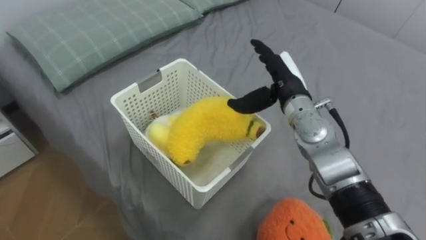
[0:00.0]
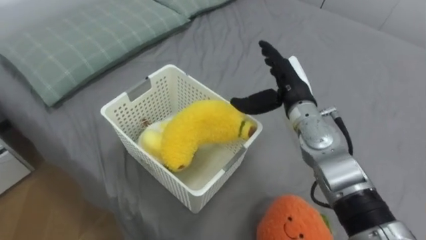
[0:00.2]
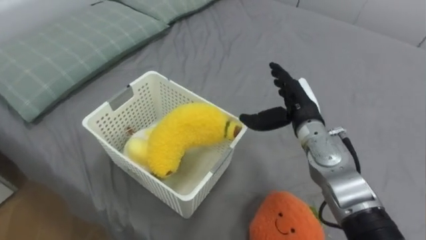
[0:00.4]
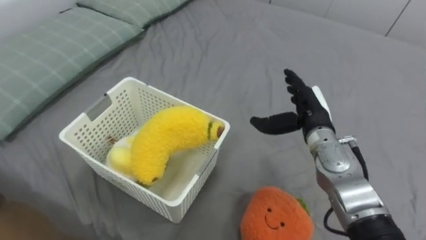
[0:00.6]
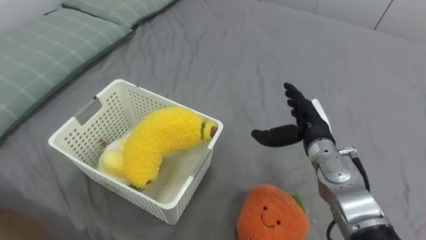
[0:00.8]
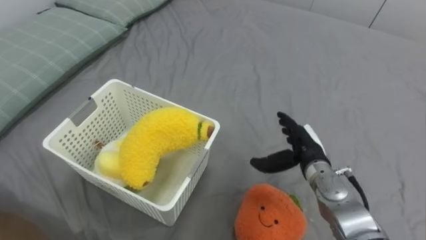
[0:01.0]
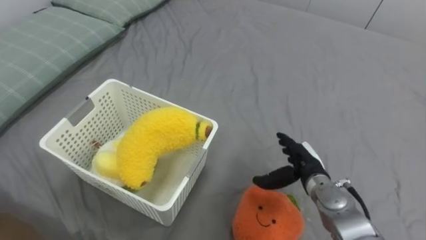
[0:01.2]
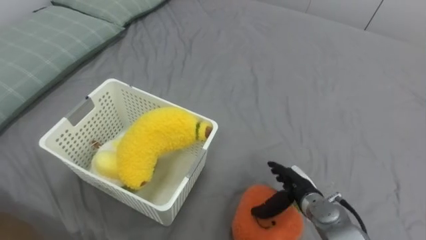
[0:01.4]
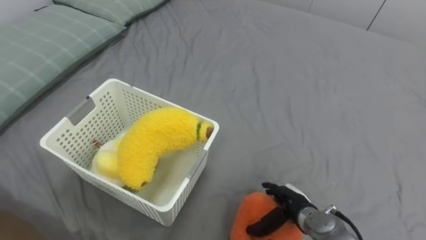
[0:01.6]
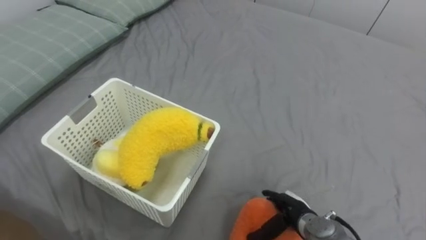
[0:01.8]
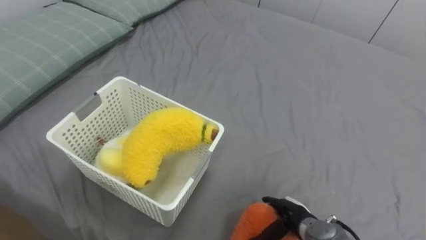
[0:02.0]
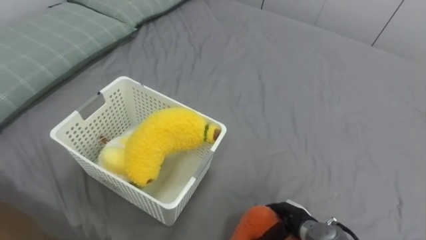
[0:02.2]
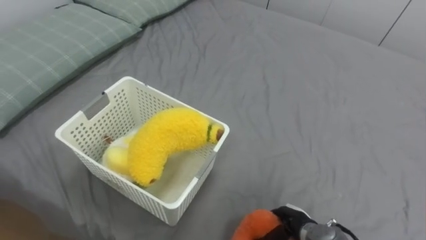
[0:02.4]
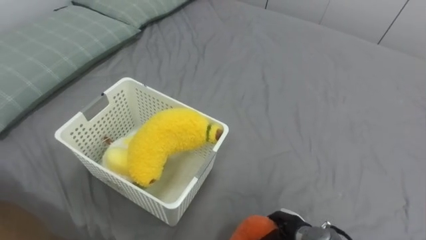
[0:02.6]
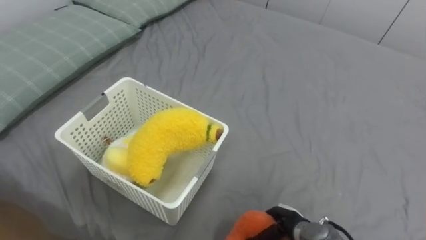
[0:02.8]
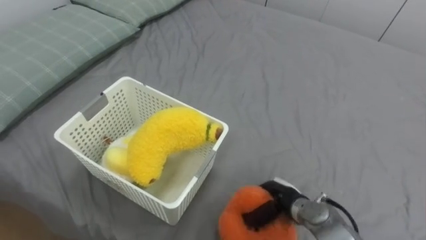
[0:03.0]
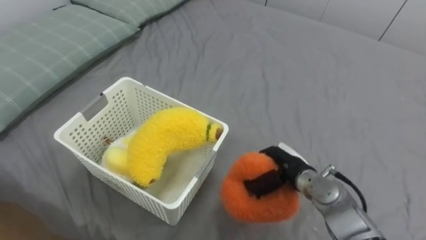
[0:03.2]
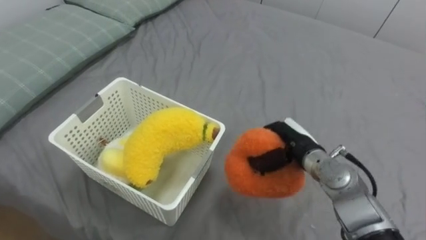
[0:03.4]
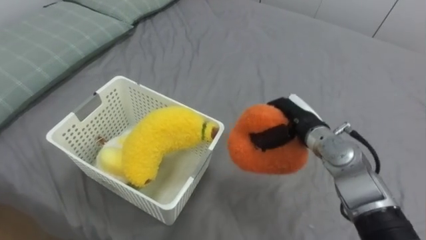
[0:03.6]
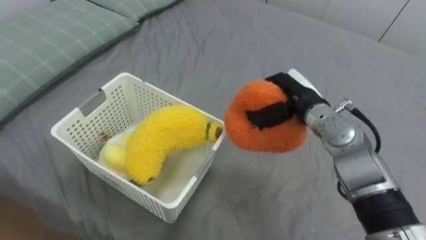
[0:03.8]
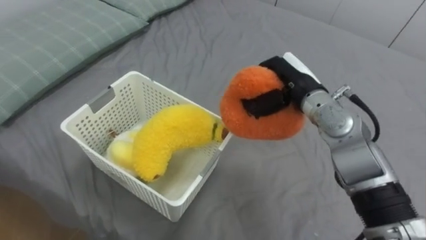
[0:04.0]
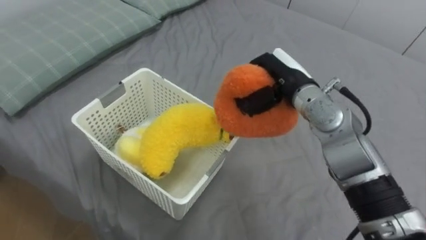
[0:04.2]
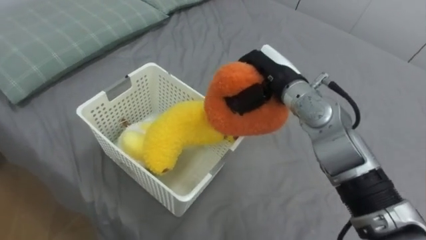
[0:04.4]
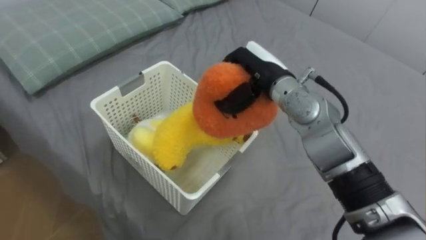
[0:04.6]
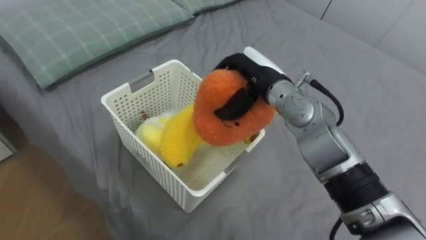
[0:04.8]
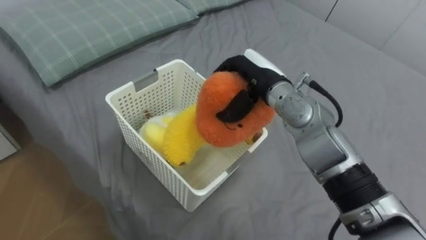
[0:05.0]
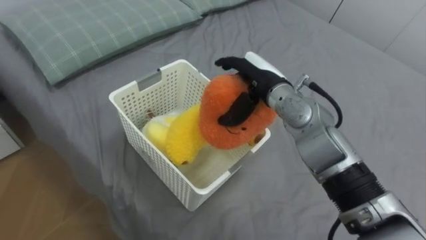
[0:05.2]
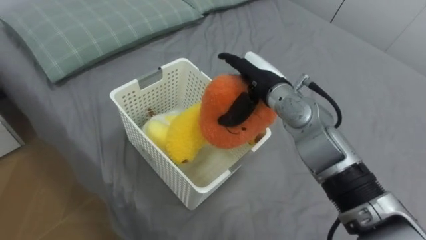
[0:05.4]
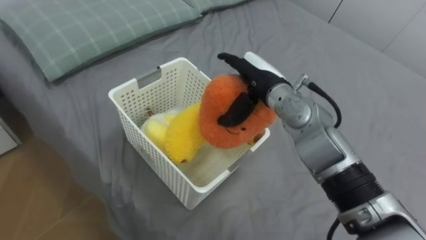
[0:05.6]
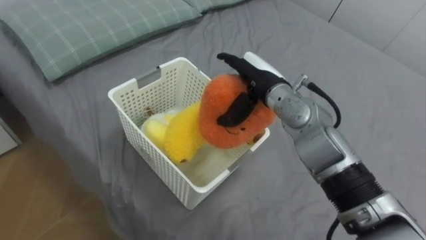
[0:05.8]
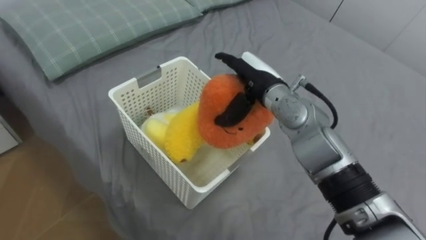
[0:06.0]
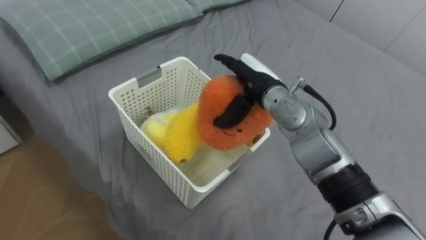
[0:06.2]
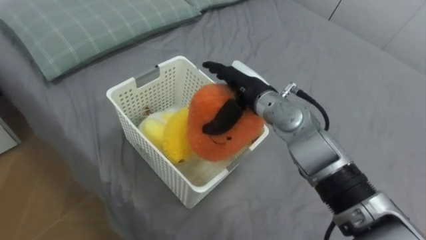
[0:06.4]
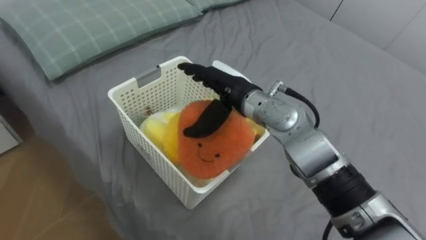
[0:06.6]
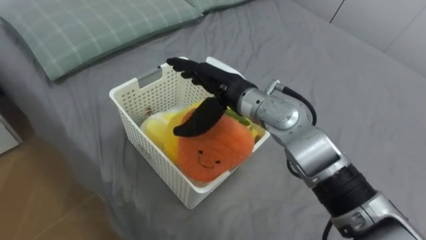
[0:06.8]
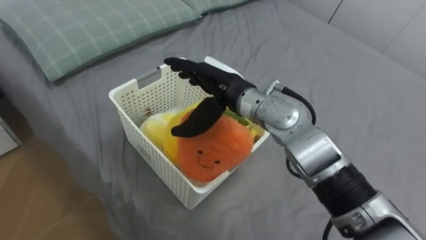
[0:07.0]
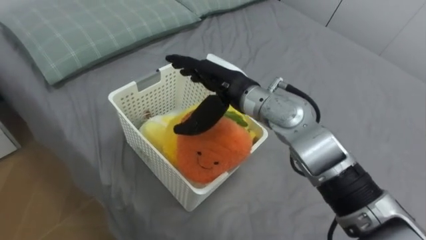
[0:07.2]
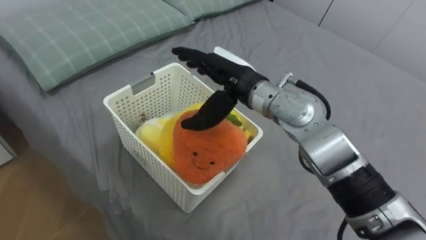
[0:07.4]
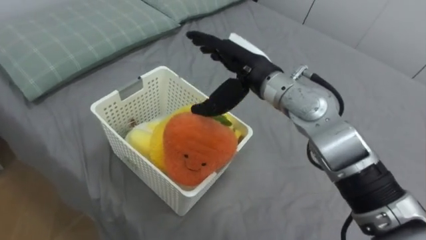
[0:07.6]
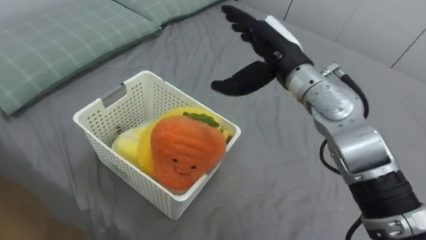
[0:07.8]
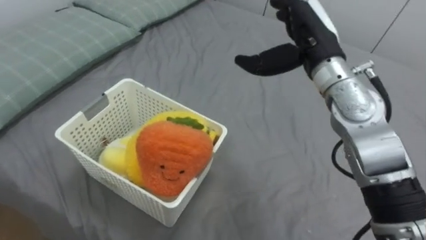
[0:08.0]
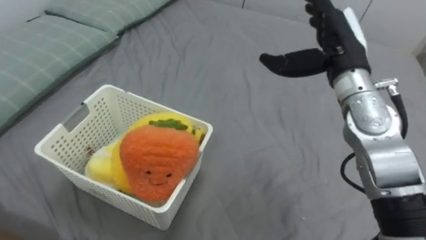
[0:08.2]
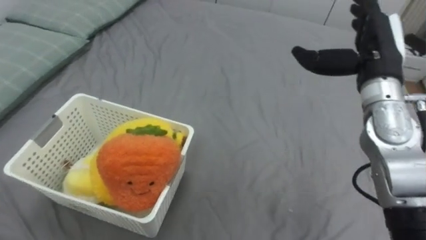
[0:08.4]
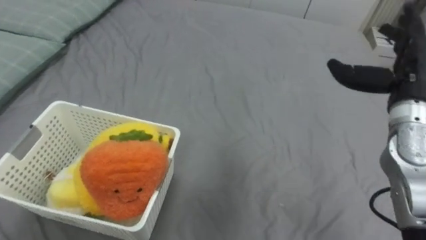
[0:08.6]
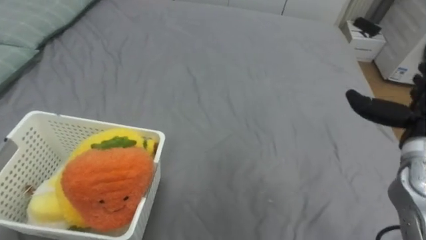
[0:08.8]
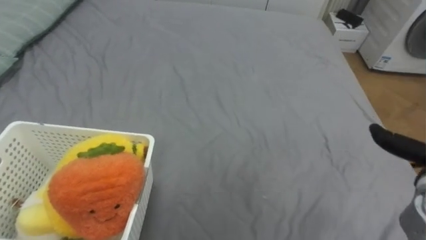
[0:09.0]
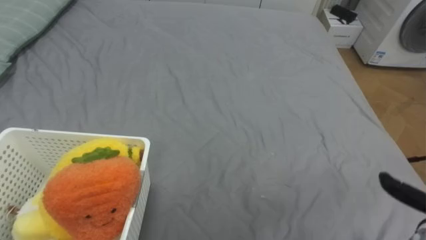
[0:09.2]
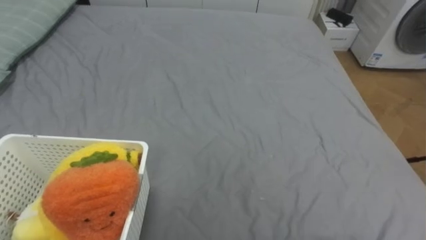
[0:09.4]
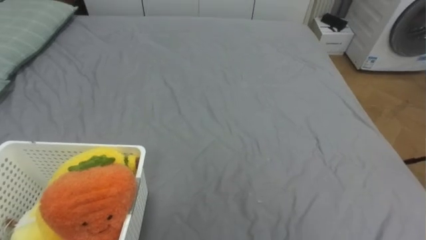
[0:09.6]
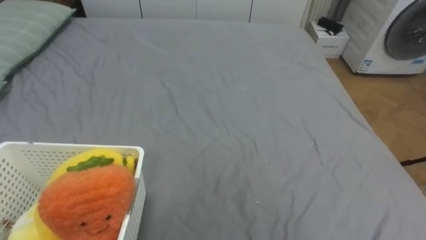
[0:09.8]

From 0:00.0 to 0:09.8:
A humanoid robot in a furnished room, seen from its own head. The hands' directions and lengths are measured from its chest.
Task of the whole recording: Put the toys on the bed into the basket on the left.
From 0:00.0 to 0:01.4: The right hand goes about 25 cm downward and backward.
From 0:01.4 to 0:02.8: The right hand shifts approximately 10 cm backward and downward, and closes its fingers.
From 0:02.8 to 0:04.2: The right hand travels upward and forward by some 35 cm.
From 0:04.2 to 0:05.6: The right hand opens up.
From 0:05.6 to 0:07.0: The right hand goes about 5 cm to the left.
From 0:07.0 to 0:08.4: The right hand is displaced to the right by roughly 25 cm.

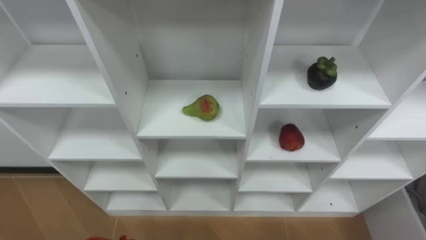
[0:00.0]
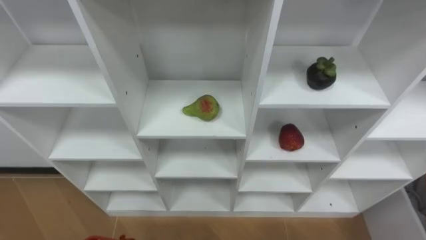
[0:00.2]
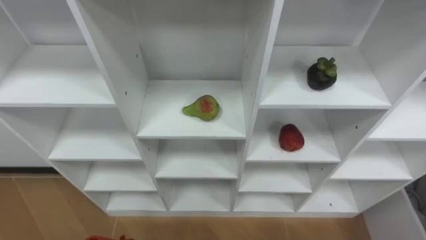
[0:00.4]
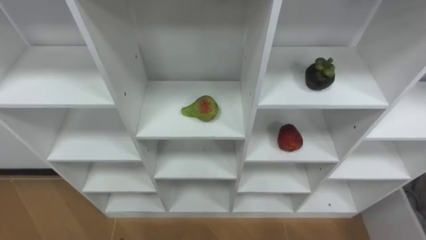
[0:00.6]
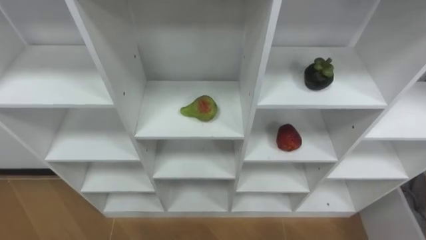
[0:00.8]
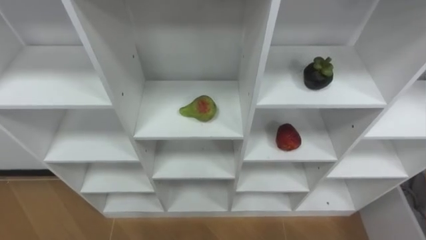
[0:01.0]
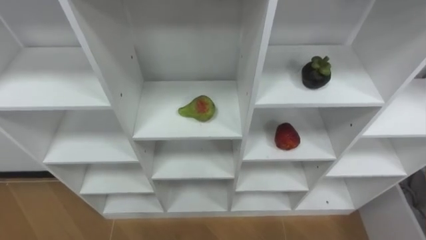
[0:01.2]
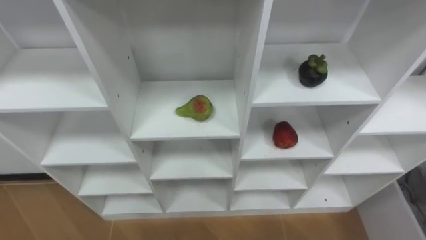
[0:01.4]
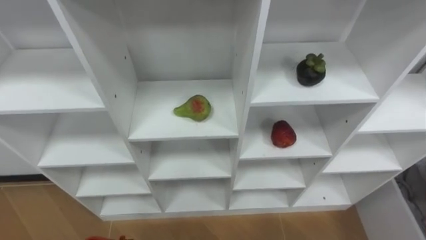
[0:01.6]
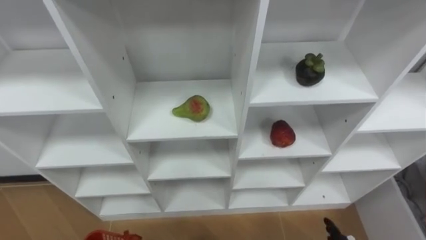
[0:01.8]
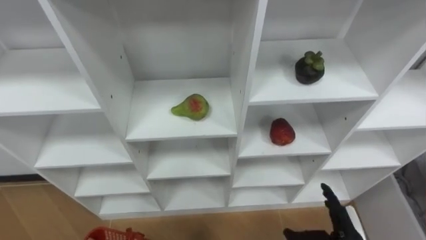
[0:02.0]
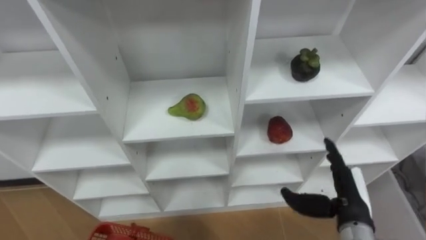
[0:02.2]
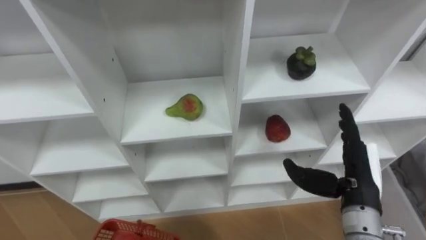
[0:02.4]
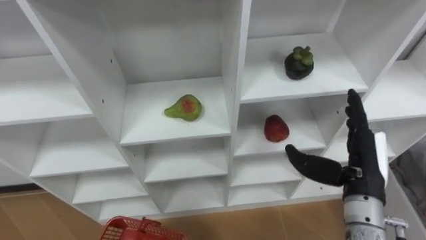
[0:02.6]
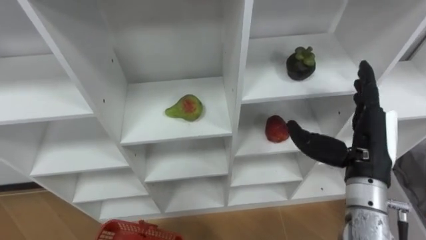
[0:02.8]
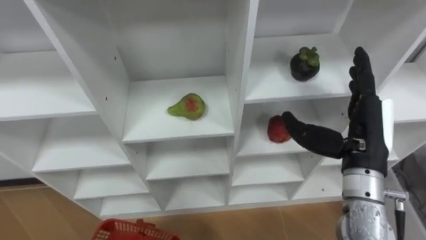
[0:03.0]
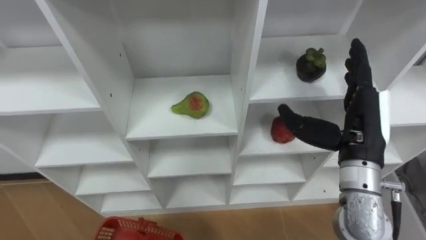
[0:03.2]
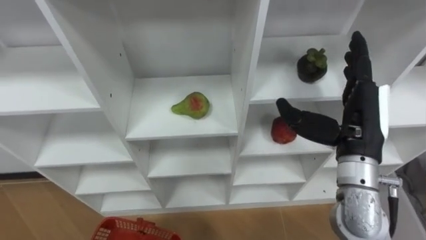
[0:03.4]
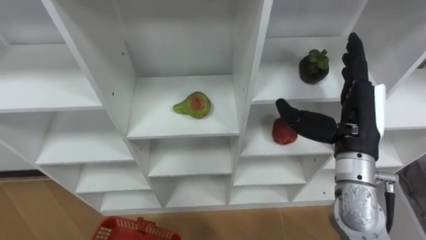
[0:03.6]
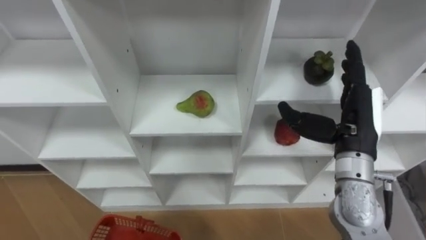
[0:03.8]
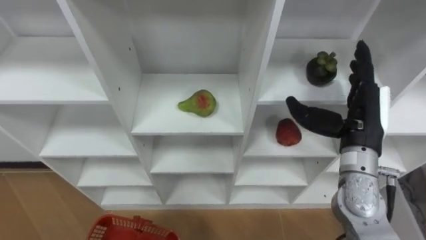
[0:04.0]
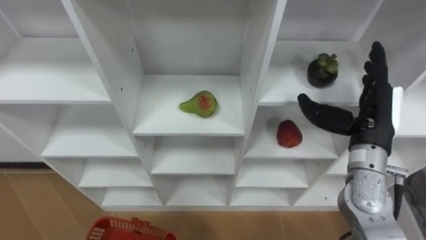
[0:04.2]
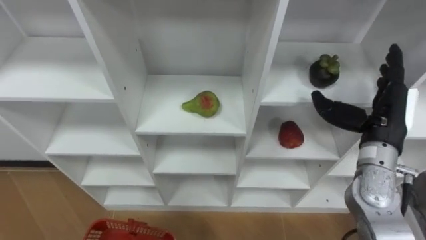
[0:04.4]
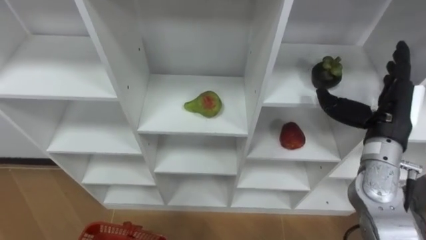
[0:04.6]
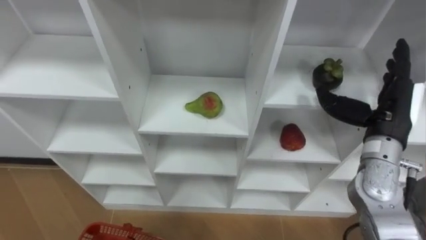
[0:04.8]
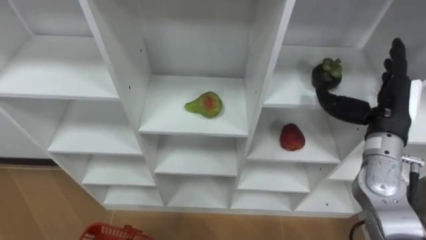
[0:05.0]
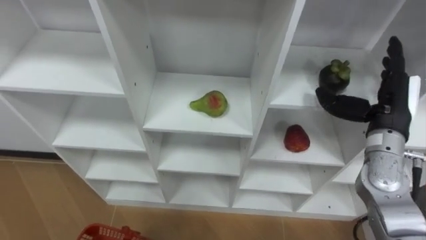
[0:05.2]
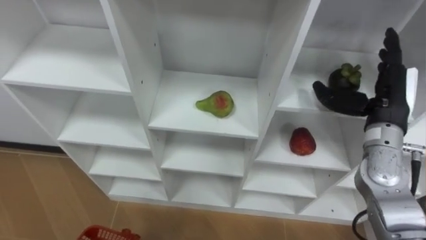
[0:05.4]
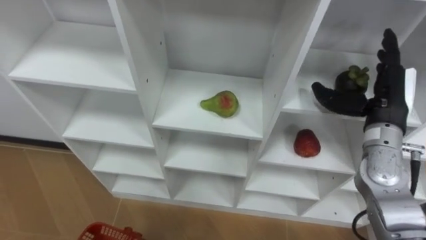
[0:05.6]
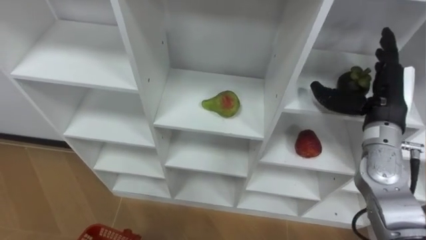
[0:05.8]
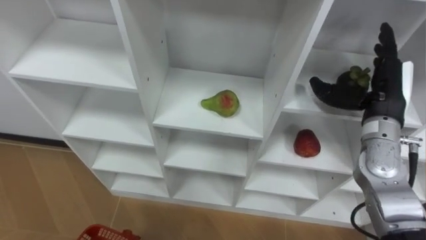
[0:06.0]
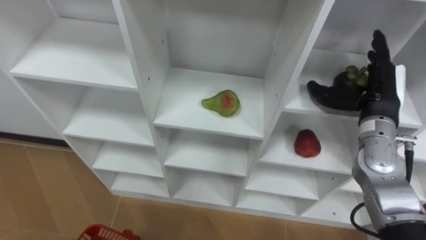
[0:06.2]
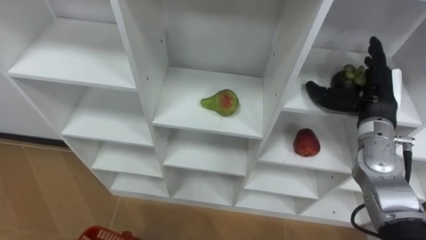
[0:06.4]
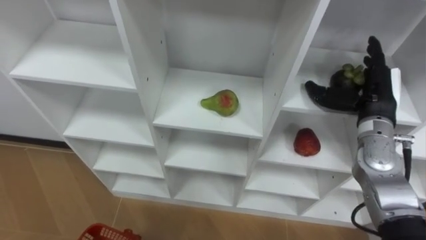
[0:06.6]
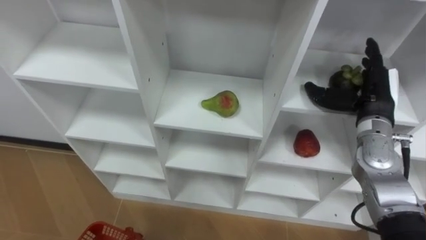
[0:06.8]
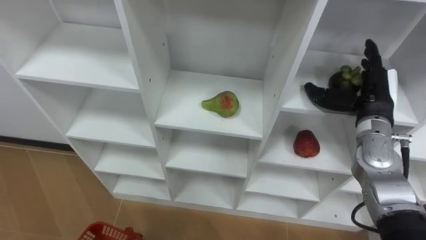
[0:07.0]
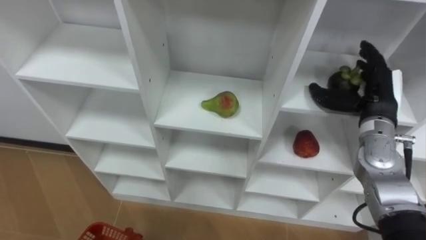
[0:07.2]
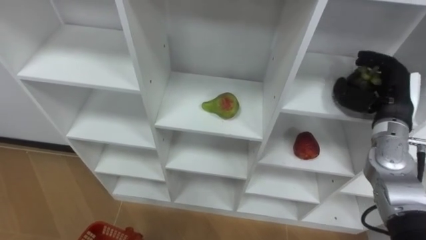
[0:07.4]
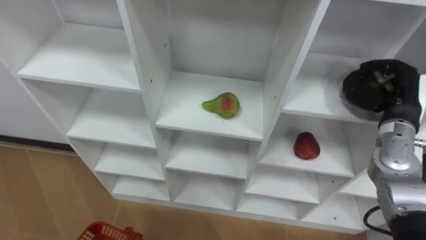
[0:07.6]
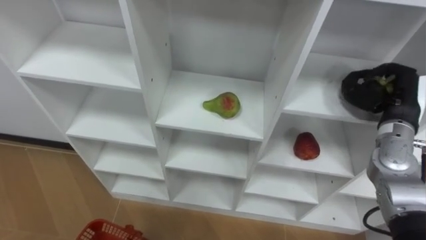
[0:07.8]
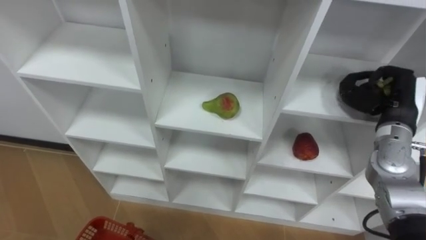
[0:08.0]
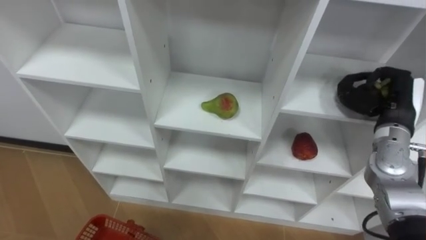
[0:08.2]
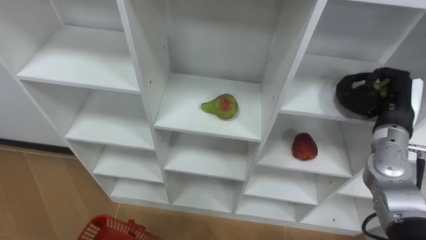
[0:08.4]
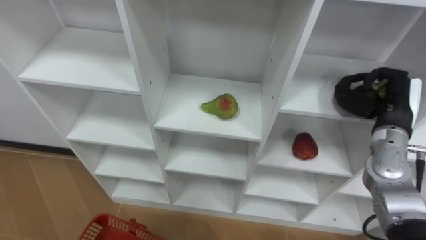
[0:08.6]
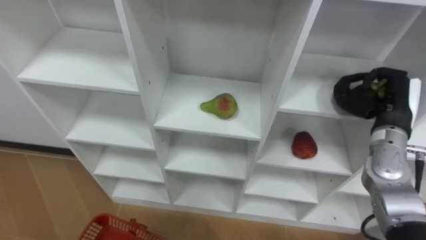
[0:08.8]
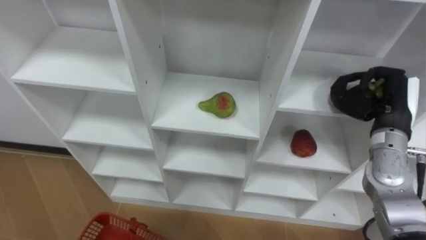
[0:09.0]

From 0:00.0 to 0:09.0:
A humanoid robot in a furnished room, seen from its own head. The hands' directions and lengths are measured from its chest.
Task of the whole recording: Hold the basket and collect the fruits from 3 different cells of the closet into it.
From 0:03.0 to 0:04.4: The right hand shifts by some 5 cm.
From 0:06.0 to 0:07.6: The right hand ends up about 5 cm from where it was, and closes up.
